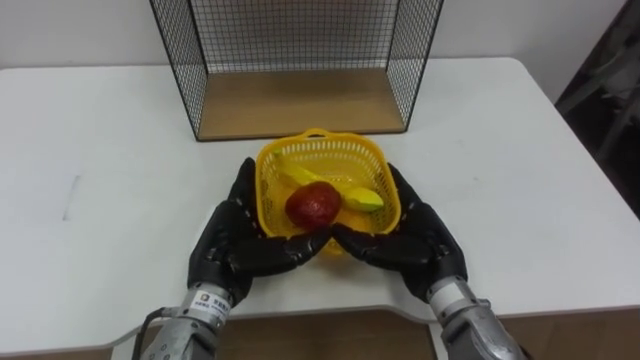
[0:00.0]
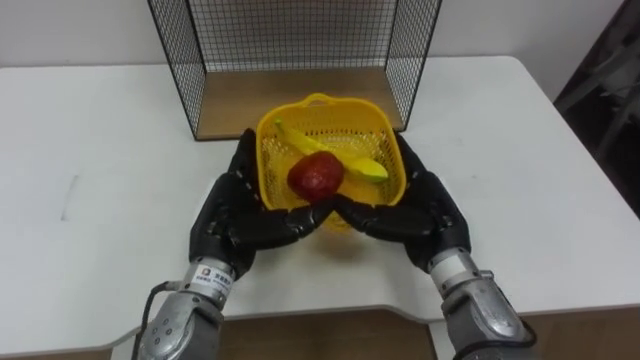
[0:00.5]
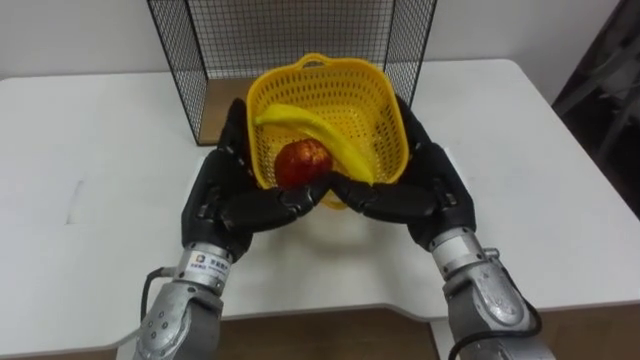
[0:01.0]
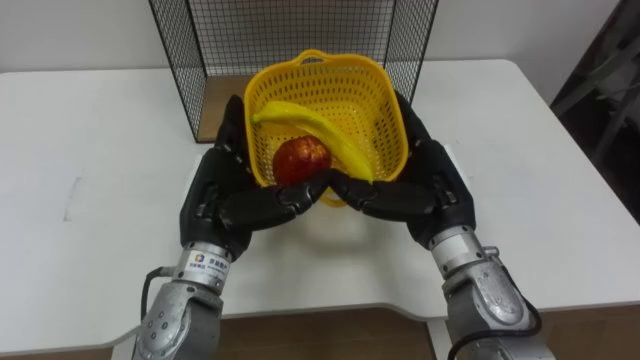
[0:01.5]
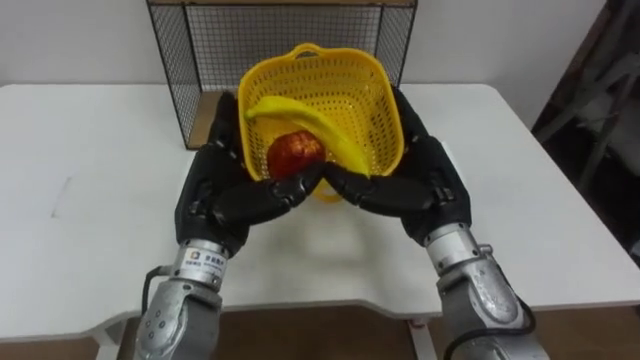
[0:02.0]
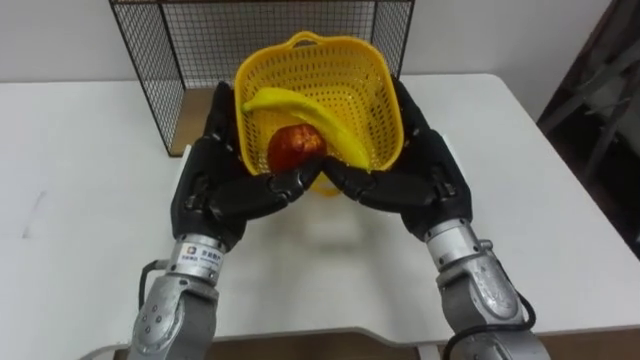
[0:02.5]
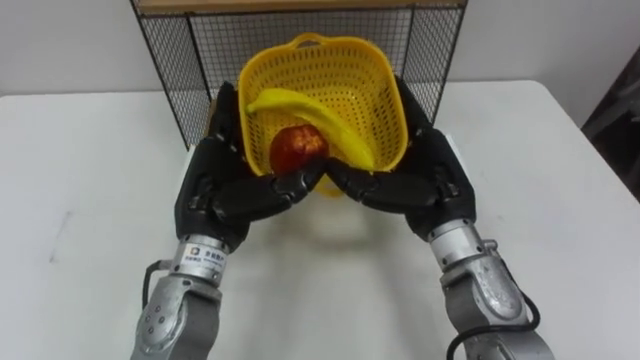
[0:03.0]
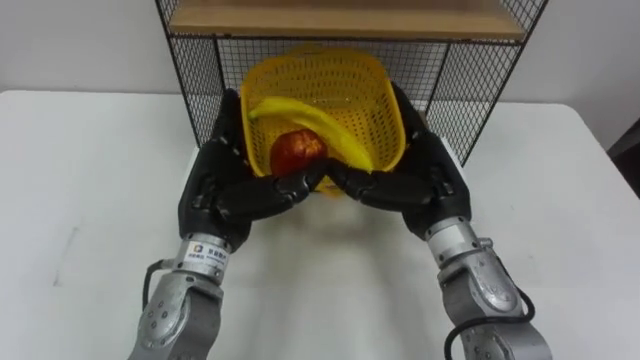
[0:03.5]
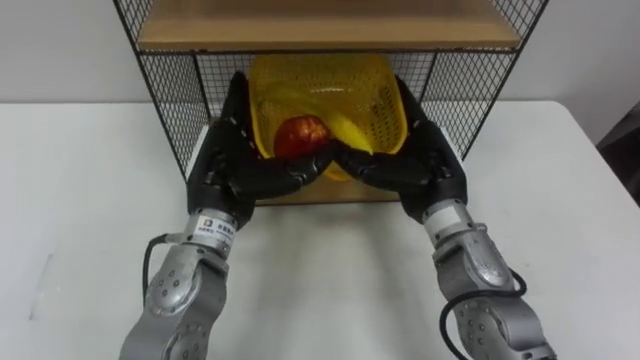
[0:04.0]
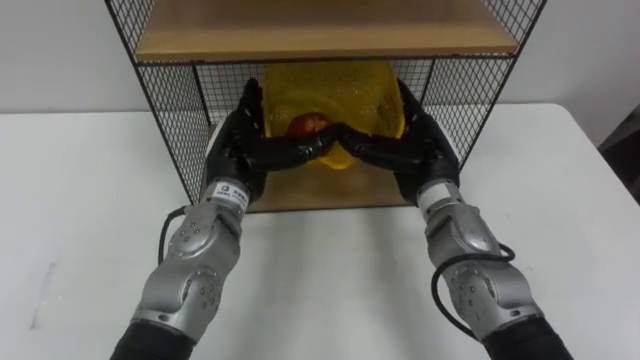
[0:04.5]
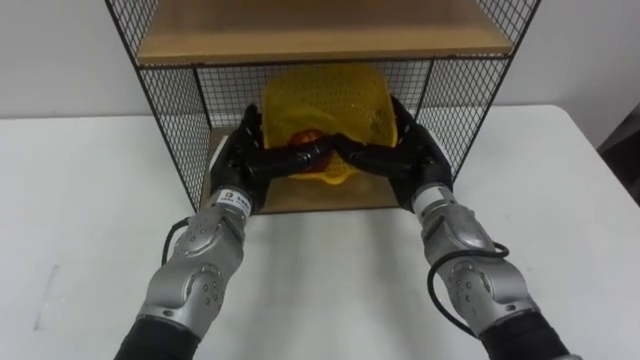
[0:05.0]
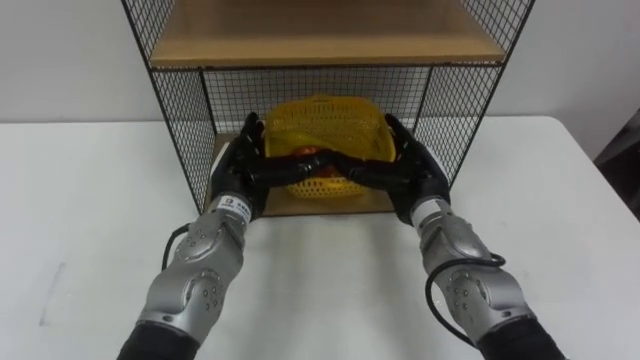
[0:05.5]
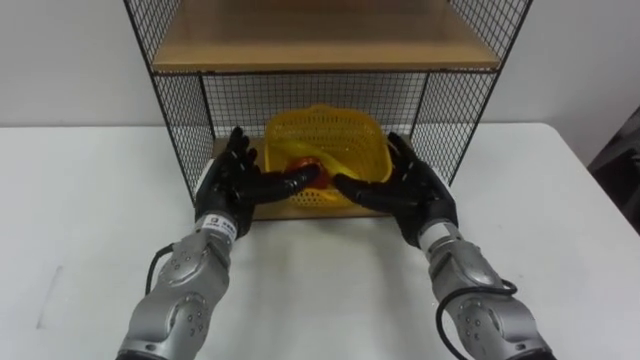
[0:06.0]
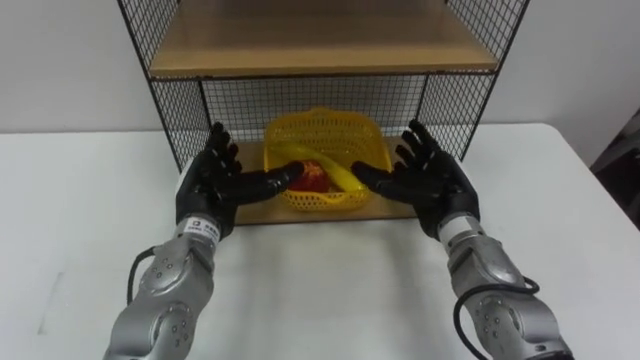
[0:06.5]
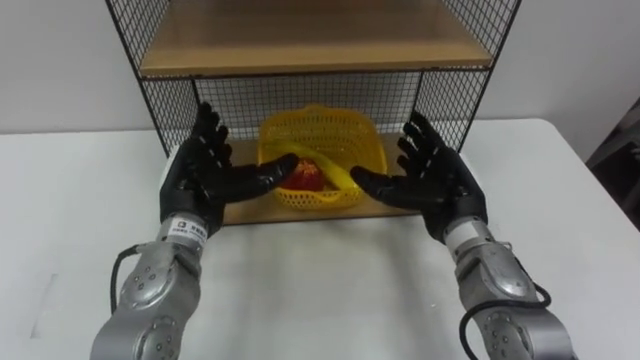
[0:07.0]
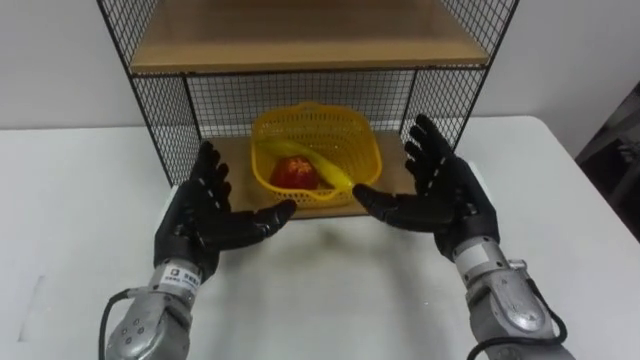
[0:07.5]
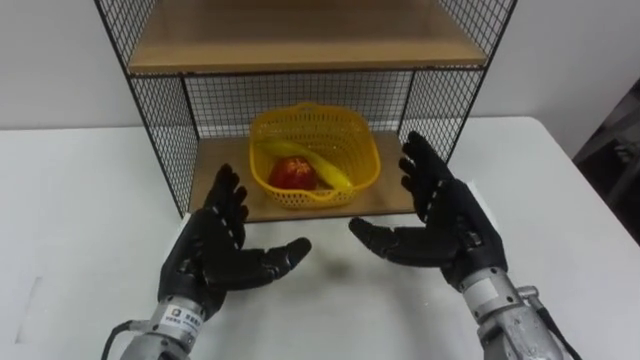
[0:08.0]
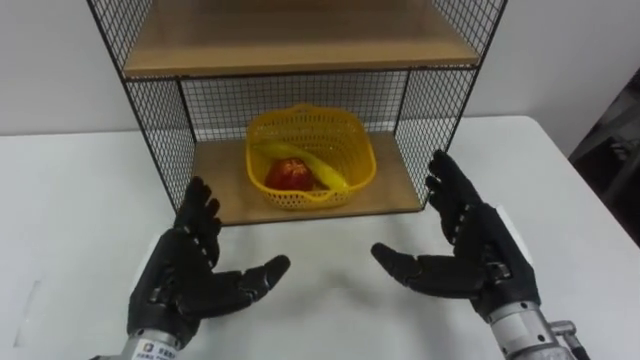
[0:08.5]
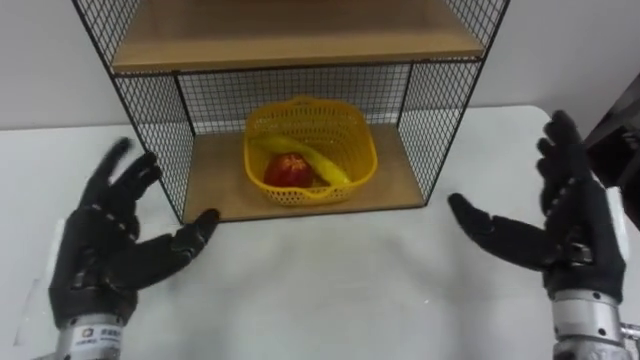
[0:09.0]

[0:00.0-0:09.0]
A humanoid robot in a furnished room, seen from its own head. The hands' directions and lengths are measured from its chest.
Task of the whole recording: Put the fruit on the table into the basket, then place the basket on the shelf.
0:00.0 to 0:02.0: Both hands move upward, about 5 cm.
0:02.0 to 0:04.5: The hands both shift forward by roughly 5 cm.
0:04.5 to 0:07.0: The right hand ends up approximately 5 cm from where it was, while the left hand is displaced to the left by roughly 5 cm.
0:07.0 to 0:09.0: The left hand is displaced backward and to the left by about 15 cm, while the right hand heads to the right and backward, covering about 15 cm.

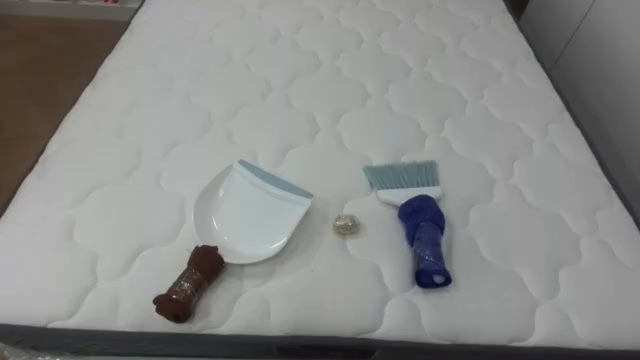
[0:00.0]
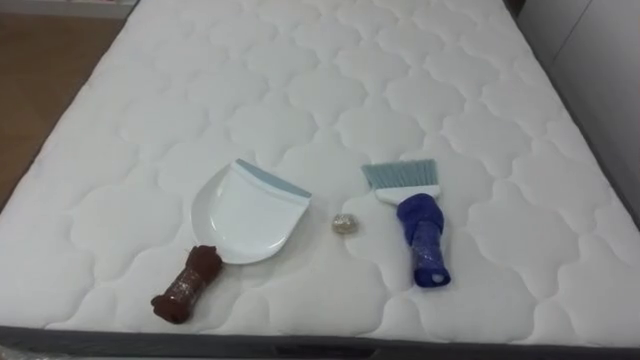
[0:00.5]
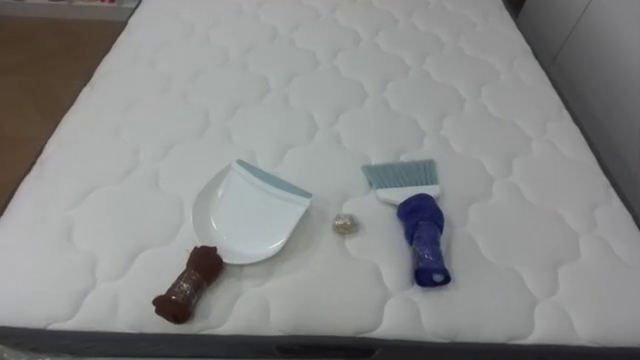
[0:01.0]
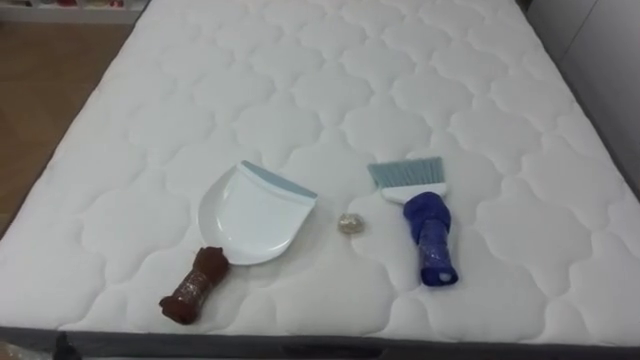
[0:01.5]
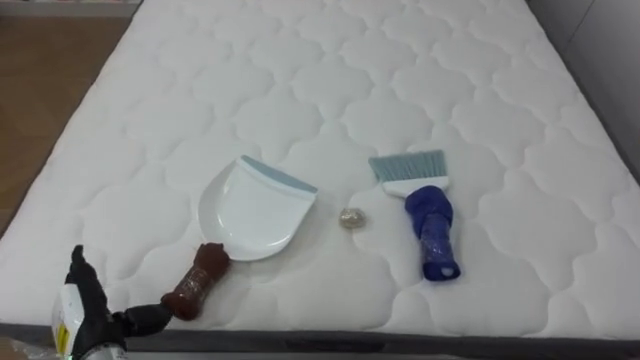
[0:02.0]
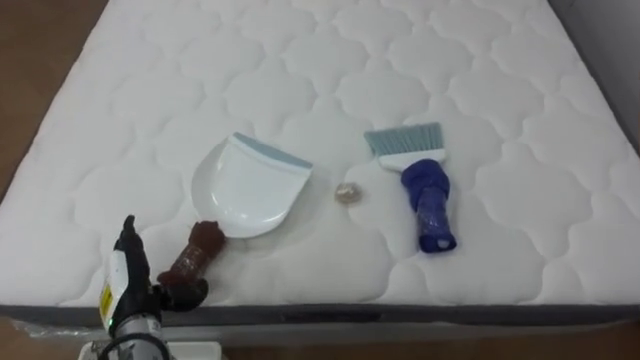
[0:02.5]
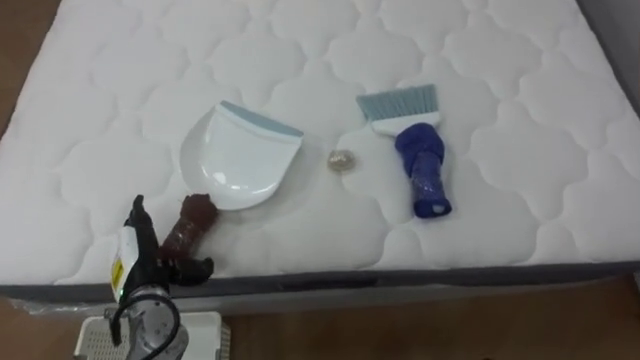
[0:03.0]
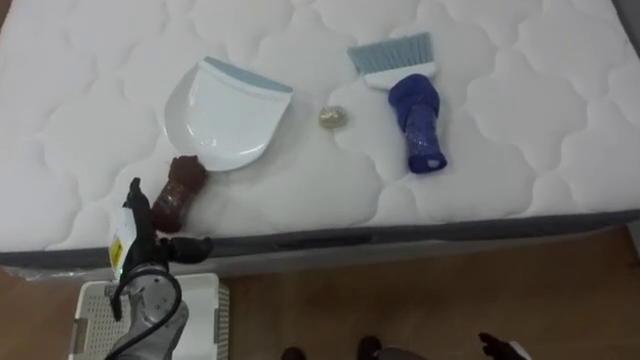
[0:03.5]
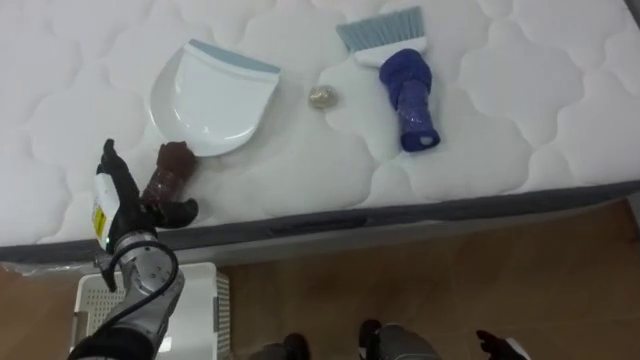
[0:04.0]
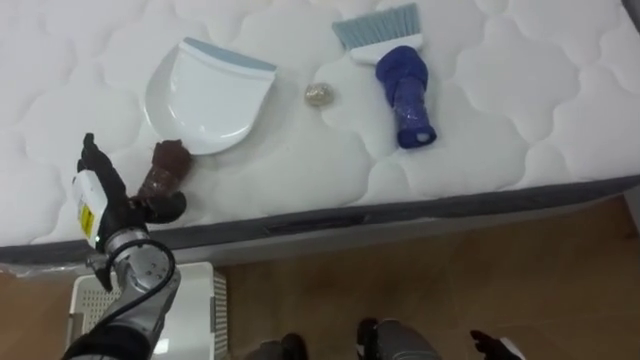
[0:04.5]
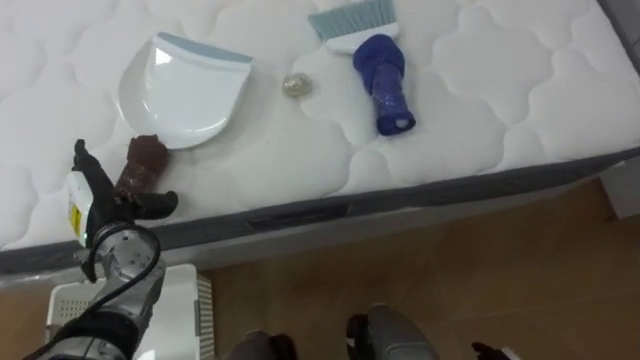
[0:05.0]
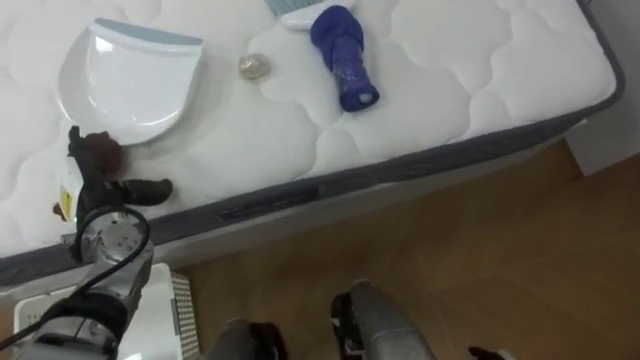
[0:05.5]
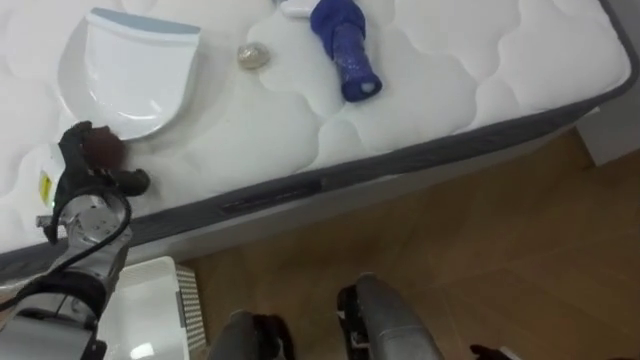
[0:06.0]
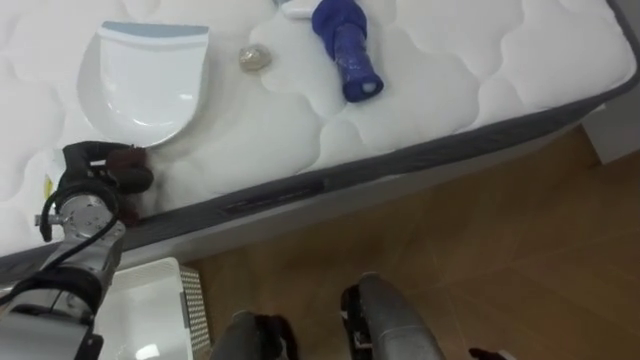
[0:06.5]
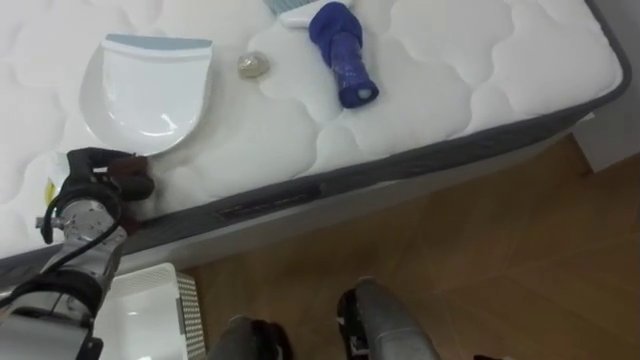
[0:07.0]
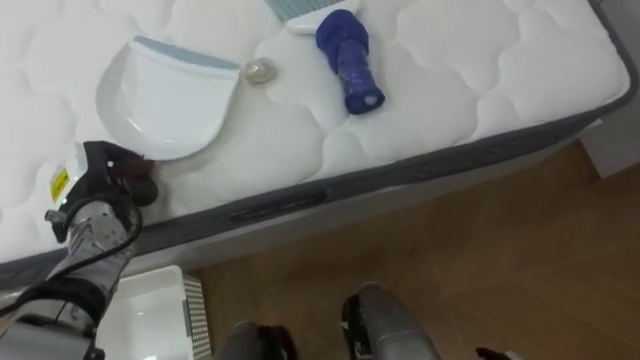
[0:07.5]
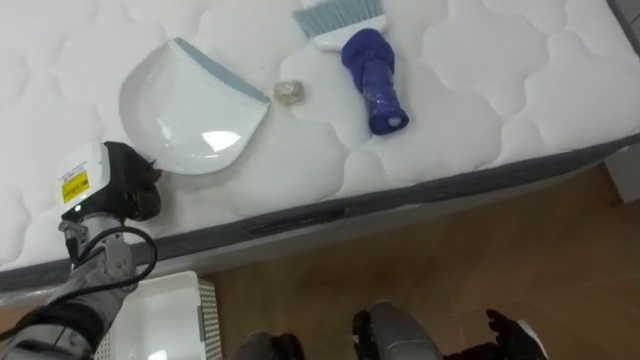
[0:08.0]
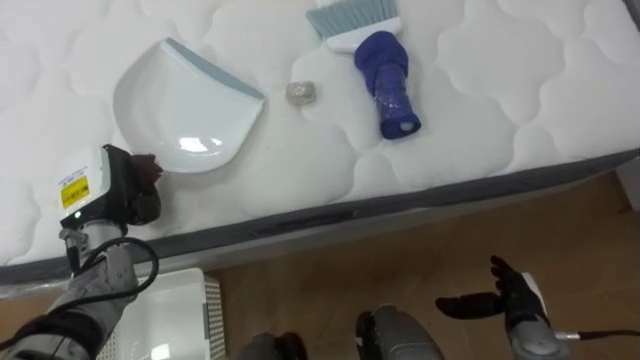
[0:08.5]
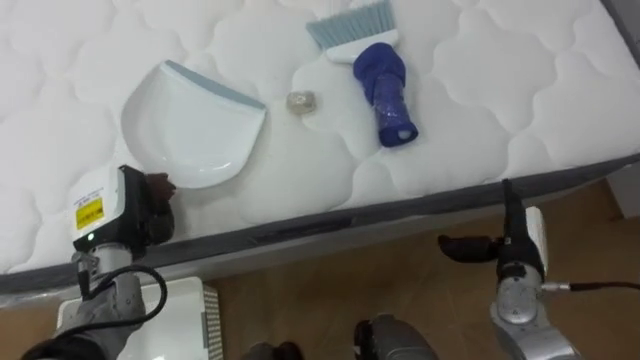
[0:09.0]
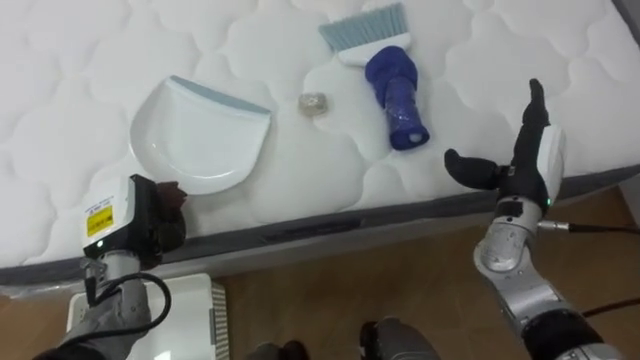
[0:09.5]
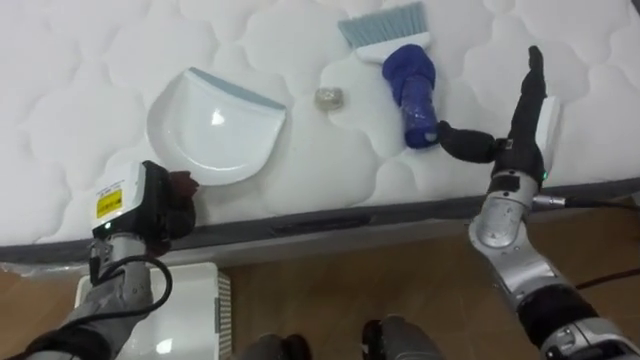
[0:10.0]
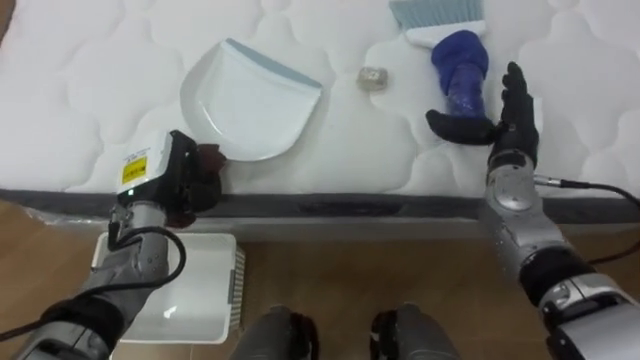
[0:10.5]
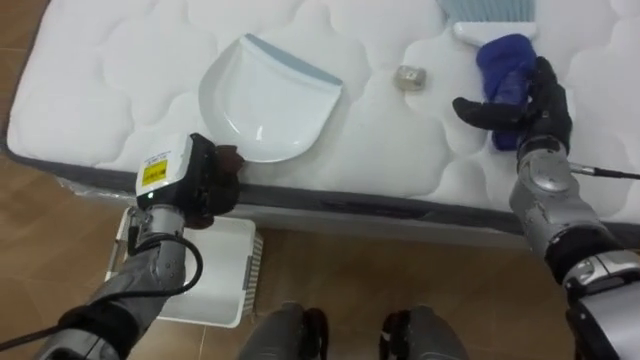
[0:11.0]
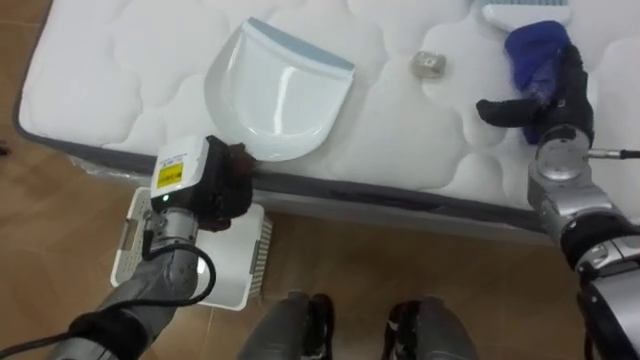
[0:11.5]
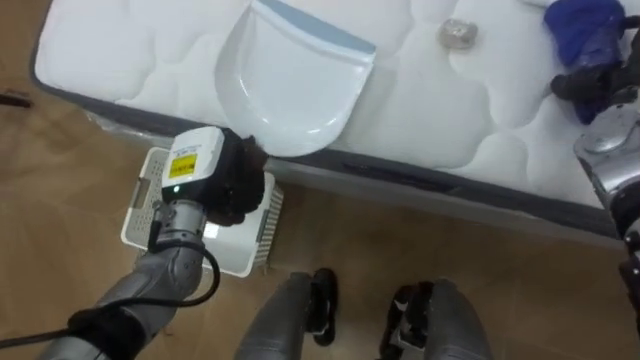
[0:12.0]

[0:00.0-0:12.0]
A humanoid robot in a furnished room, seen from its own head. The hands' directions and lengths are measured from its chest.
Task of the whole recording: Pick up the brush on your right and the dustpan on your left. Use the brush to sweep the crumpled paper on the bed into the dustpan, then turn left and empty it into the basket.
0:02.0 to 0:04.0: The left hand heads forward and upward, covering approximately 15 cm.
0:04.0 to 0:06.0: The left hand goes roughly 5 cm to the left.
0:06.0 to 0:08.0: The left hand closes its fingers.
0:10.0 to 0:12.0: The robot rotates approximately 15 degrees to its left. The left hand shifts some 10 cm to the right.
